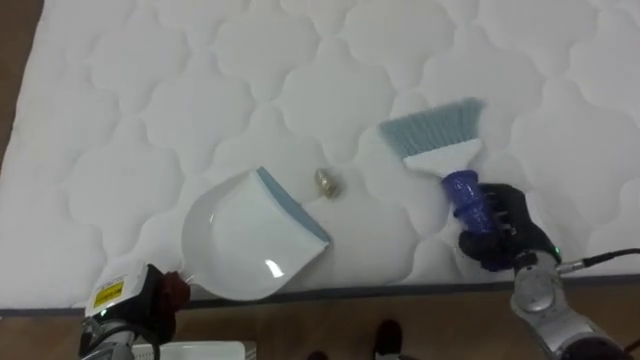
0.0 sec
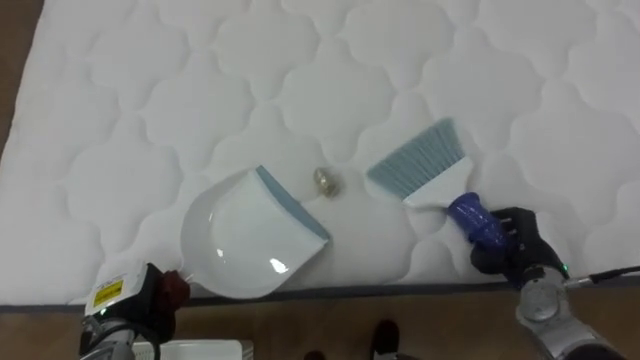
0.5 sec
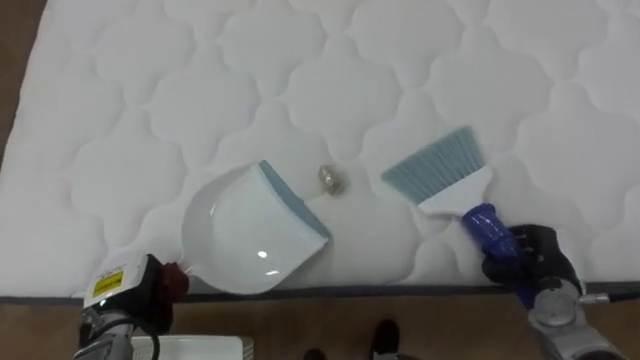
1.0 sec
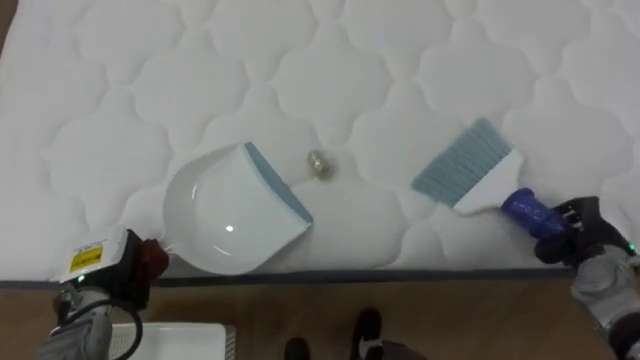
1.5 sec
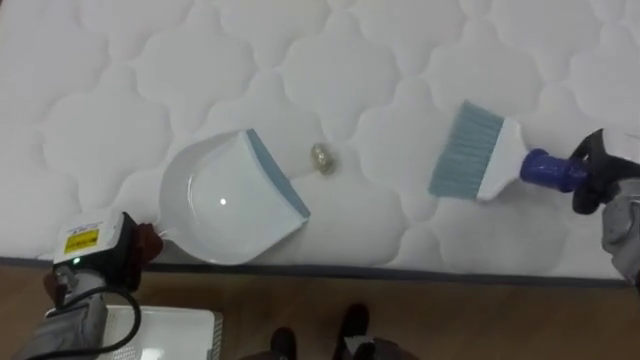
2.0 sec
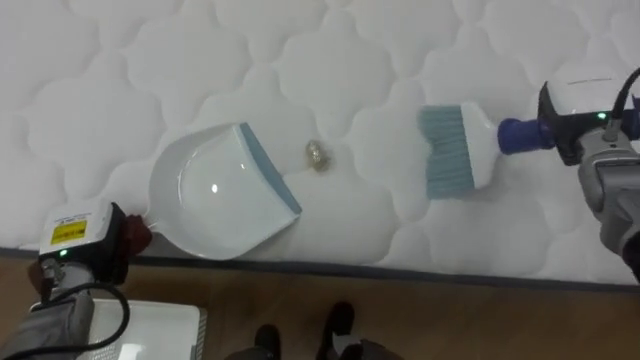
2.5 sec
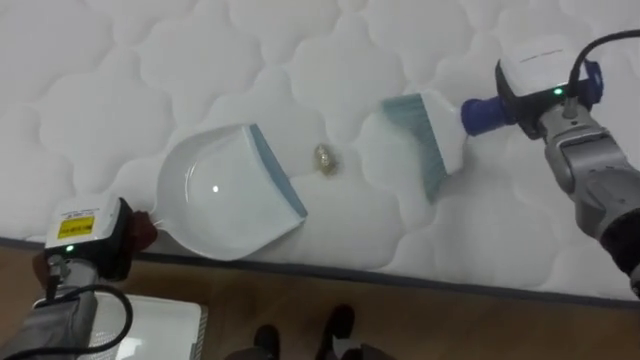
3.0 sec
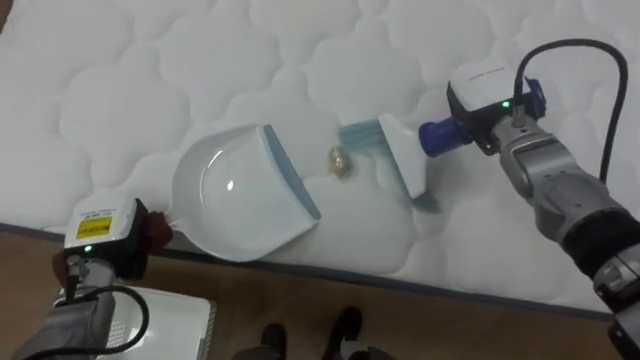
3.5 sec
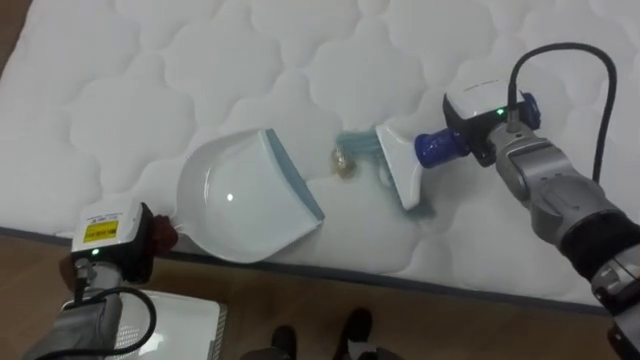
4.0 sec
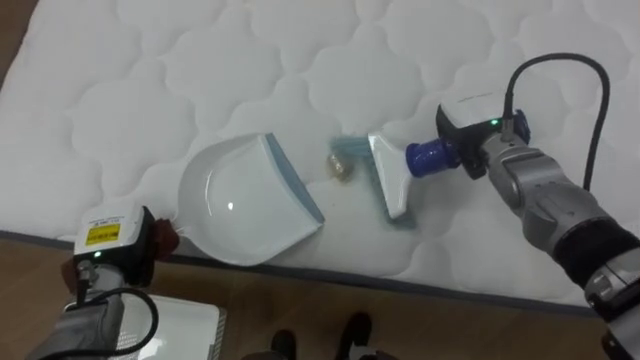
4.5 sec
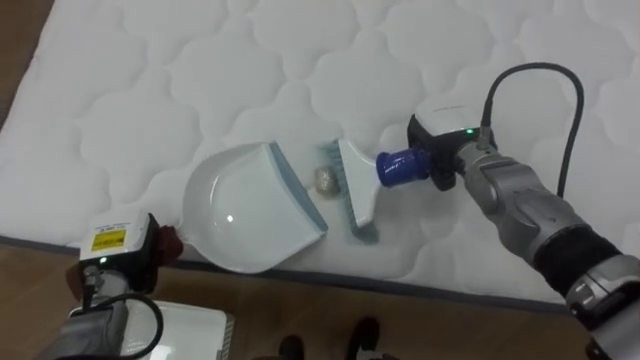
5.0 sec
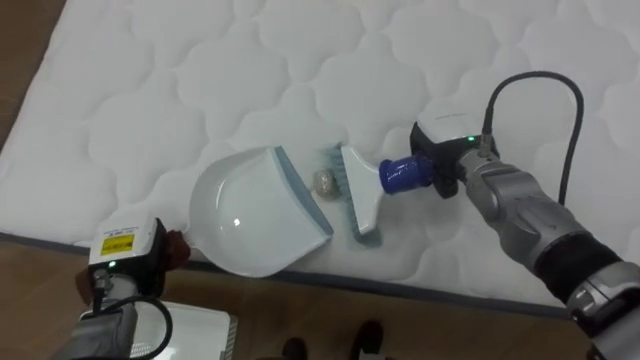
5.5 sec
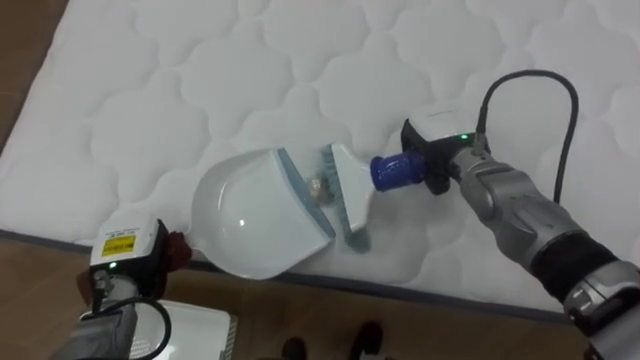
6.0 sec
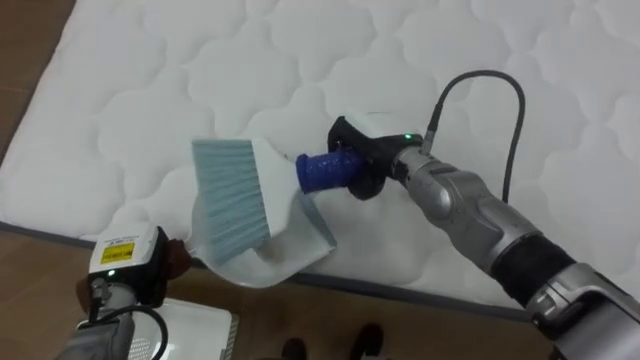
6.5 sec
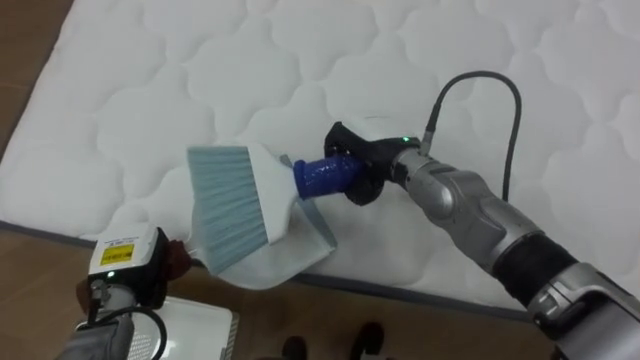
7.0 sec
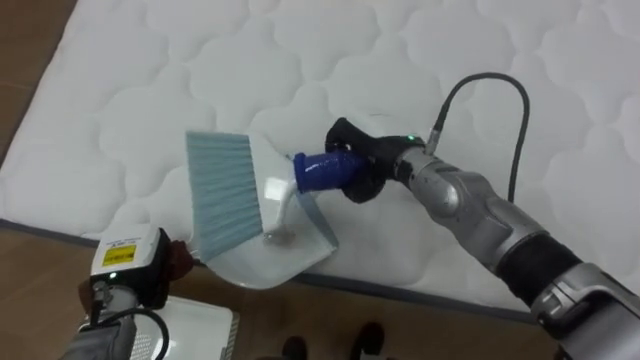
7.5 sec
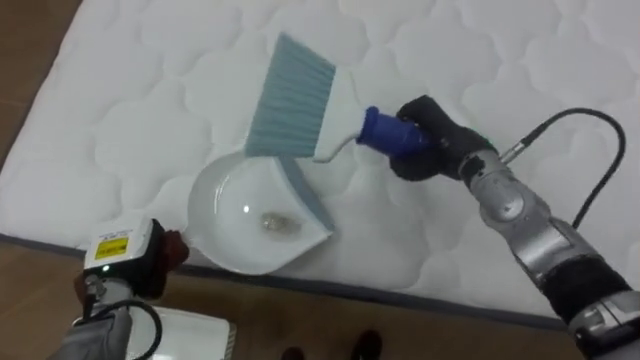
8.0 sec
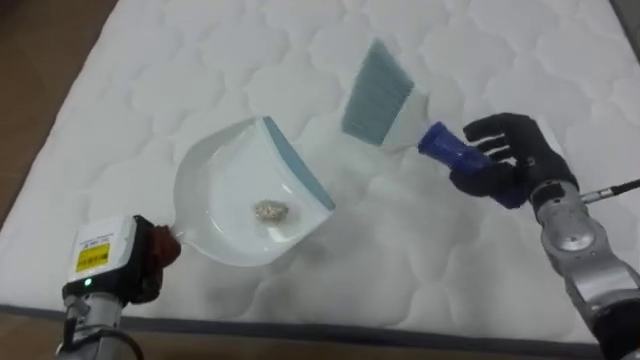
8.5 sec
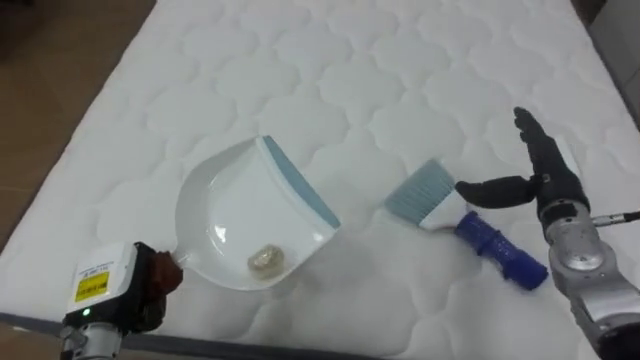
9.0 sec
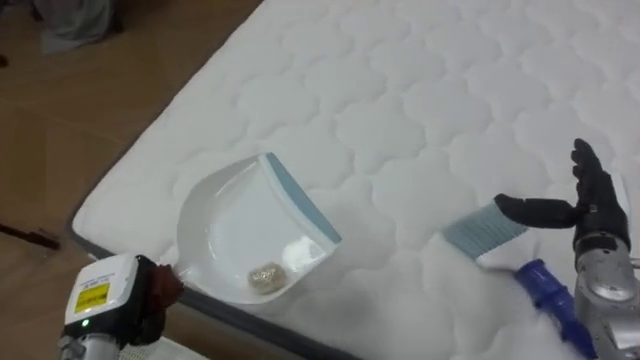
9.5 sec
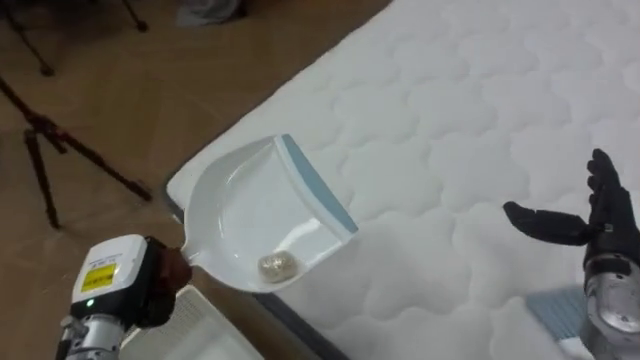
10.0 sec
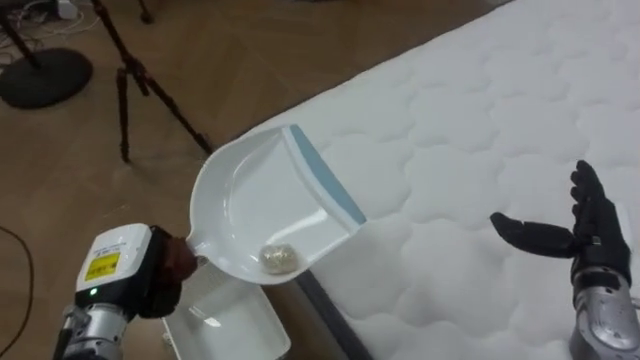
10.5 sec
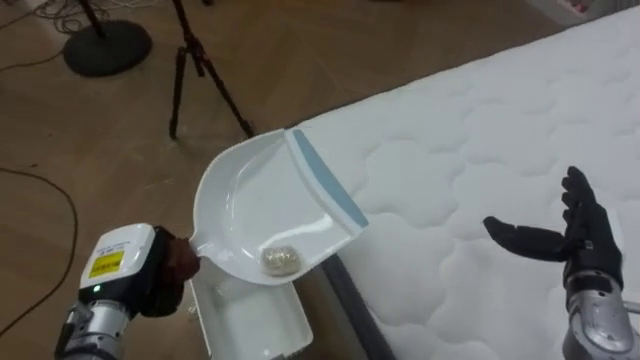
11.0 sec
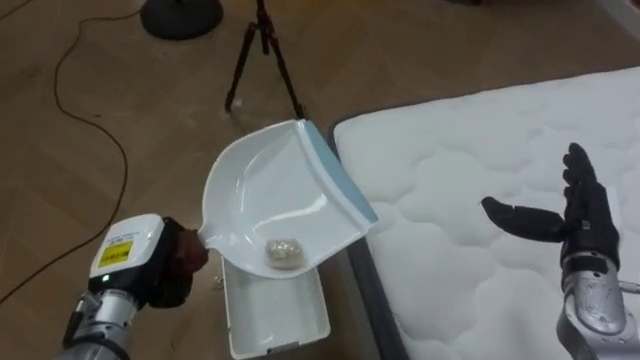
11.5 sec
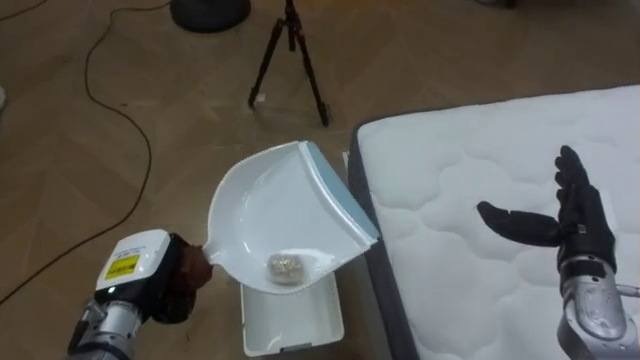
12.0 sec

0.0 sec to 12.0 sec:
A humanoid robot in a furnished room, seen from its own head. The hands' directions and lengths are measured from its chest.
Task of the whole recording: Pick up the brush on your right and the dustpan on your left. Use the brush to sweep the crumpled paper on the bed into the dustpan, then turn left and empty it into the basket.
0.0 sec to 2.0 sec: The left hand travels upward and forward by approximately 10 cm. Meanwhile the right hand goes about 15 cm to the right, upward and forward, and closes.
2.0 sec to 4.0 sec: The right hand heads to the left, covering roughly 20 cm.
4.0 sec to 6.0 sec: The right hand shifts by roughly 5 cm.
6.0 sec to 8.0 sec: The right hand travels to the left and back again, about 10 cm each way.
8.0 sec to 10.0 sec: The robot rotates approximately 40 degrees to its left. The right hand moves to the right and backward, some 20 cm, and opens. Meanwhile the left hand changes place by some 5 cm.
10.0 sec to 12.0 sec: The robot rotates some 35 degrees to its left.

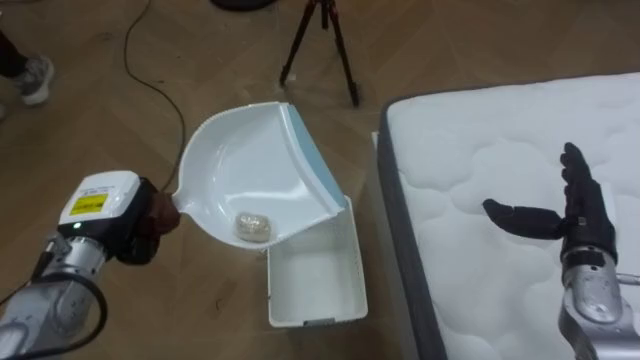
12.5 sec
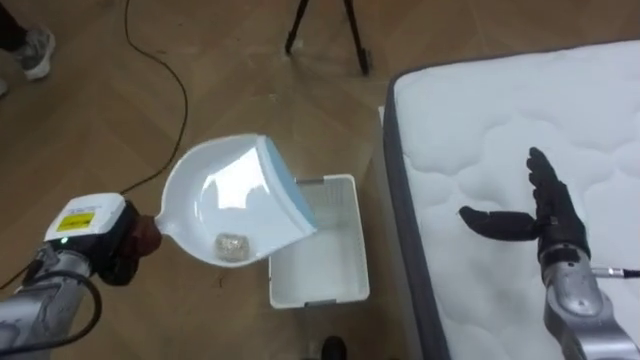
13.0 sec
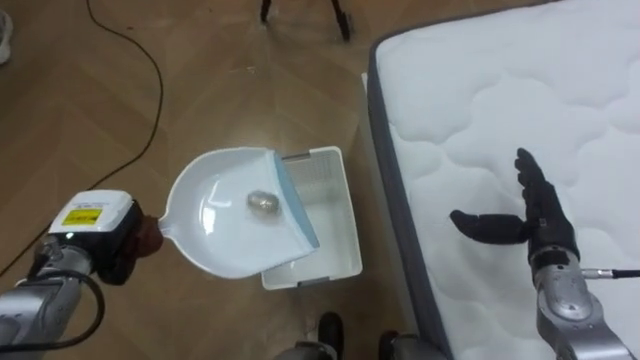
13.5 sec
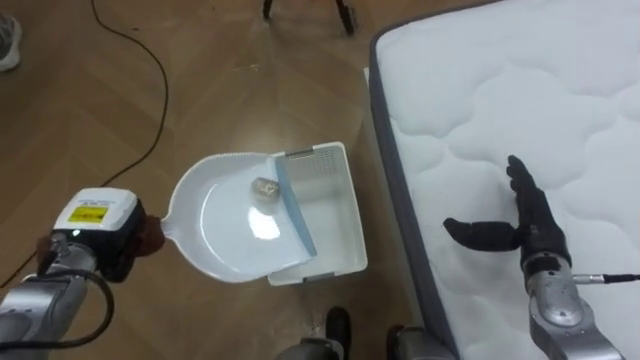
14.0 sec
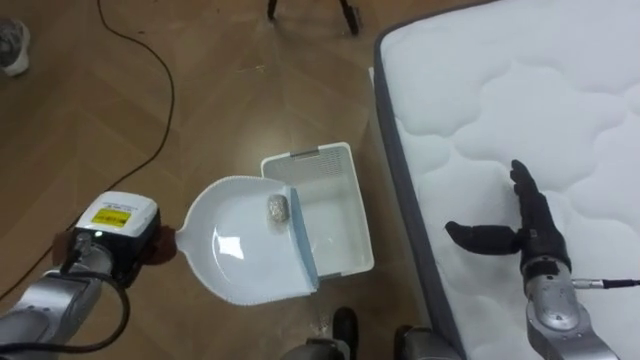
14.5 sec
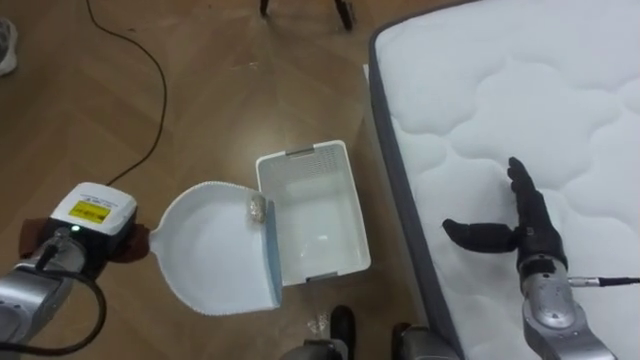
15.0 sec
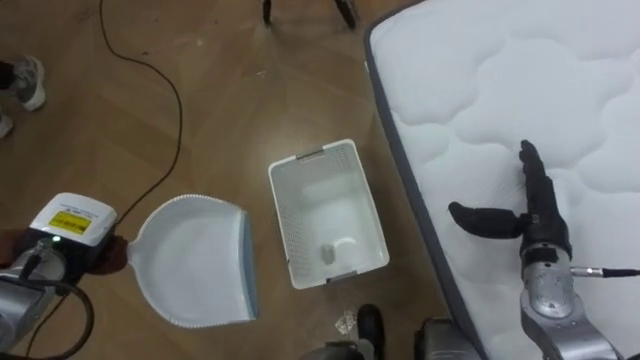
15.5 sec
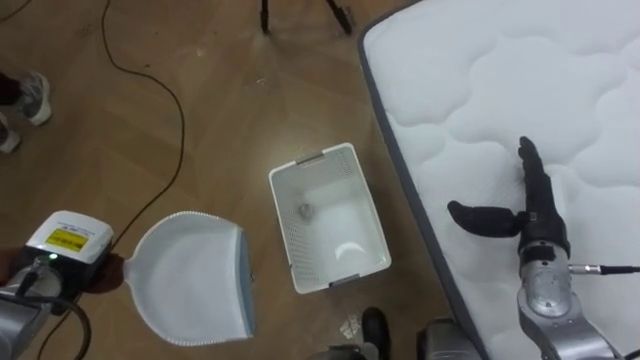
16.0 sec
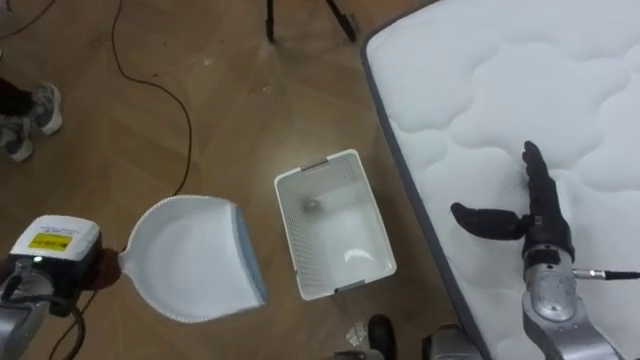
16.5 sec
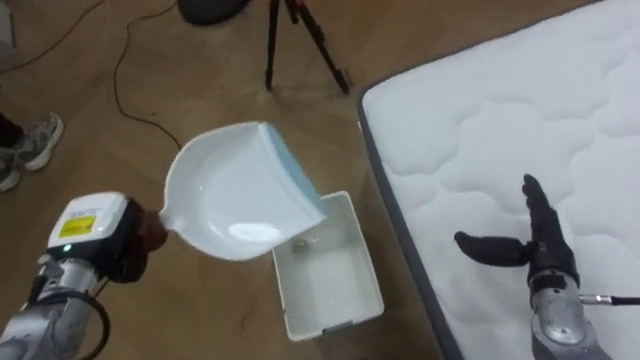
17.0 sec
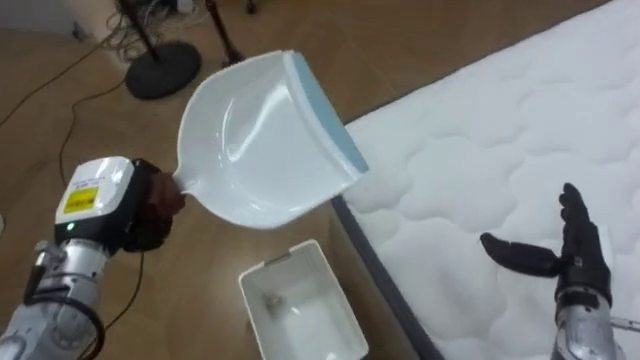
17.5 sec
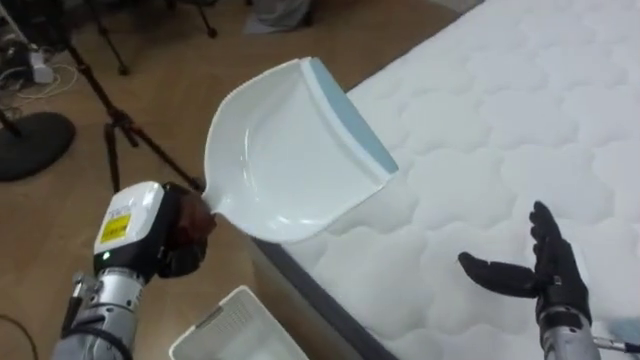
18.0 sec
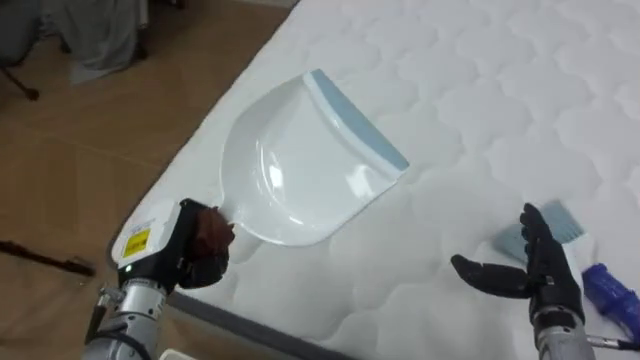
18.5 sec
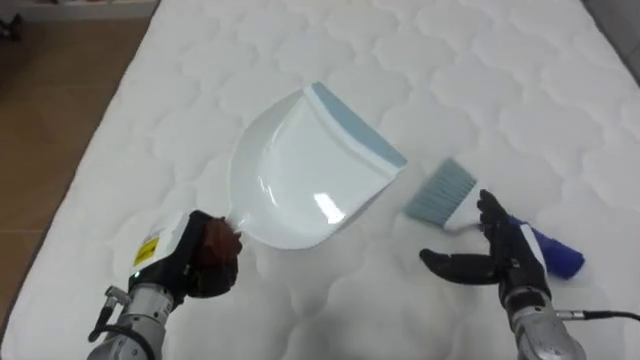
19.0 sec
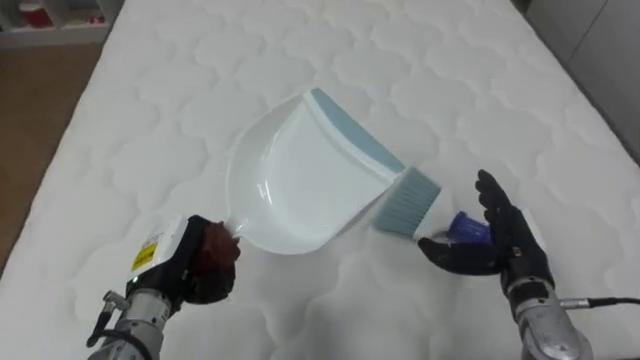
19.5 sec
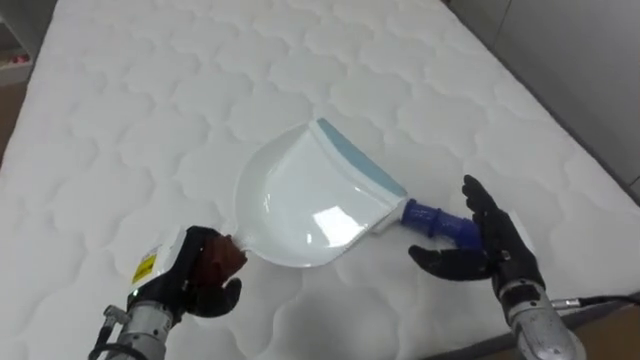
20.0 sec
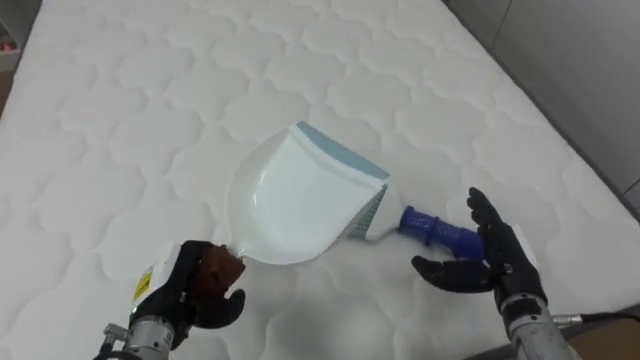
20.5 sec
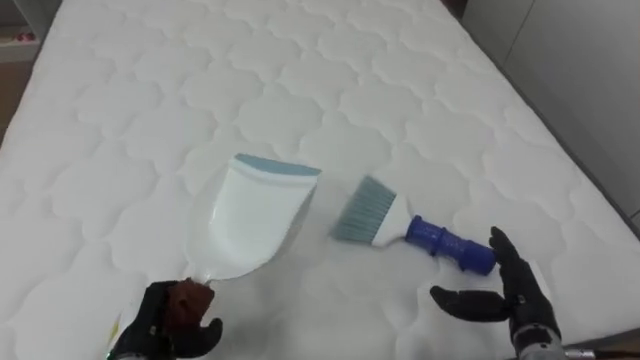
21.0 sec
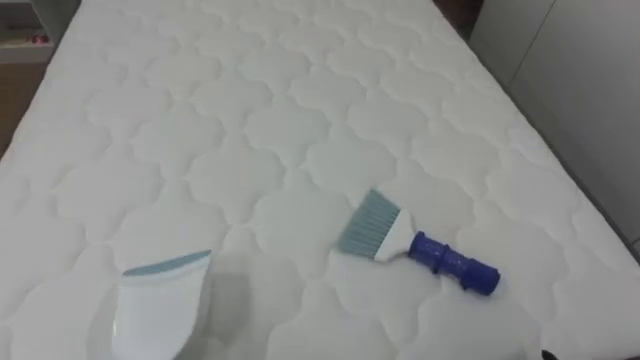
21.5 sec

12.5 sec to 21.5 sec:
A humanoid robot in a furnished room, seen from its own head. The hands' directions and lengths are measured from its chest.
Task of the whole recording: Pick up the brush on your right and the dustpan on your left. Use the brush to sweep the crumpled paper on the bed into the dustpan, then turn left and empty it into the basket.
12.5 sec to 14.5 sec: The right hand shifts by roughly 5 cm.
17.0 sec to 19.5 sec: The robot turns to its right by approximately 80 degrees. The left hand moves to the right, roughly 10 cm.
